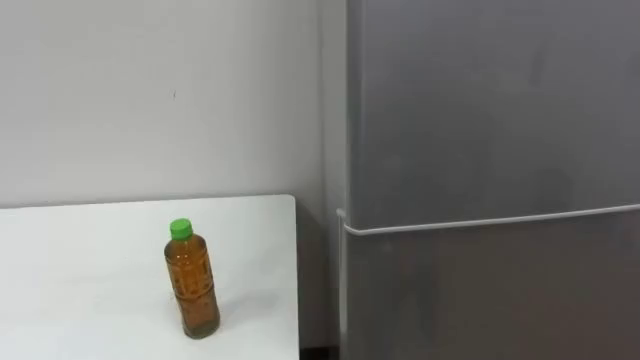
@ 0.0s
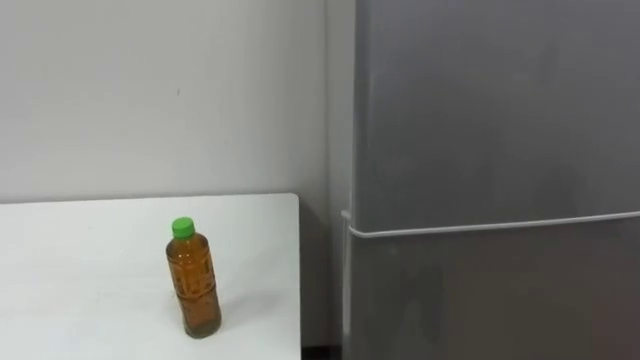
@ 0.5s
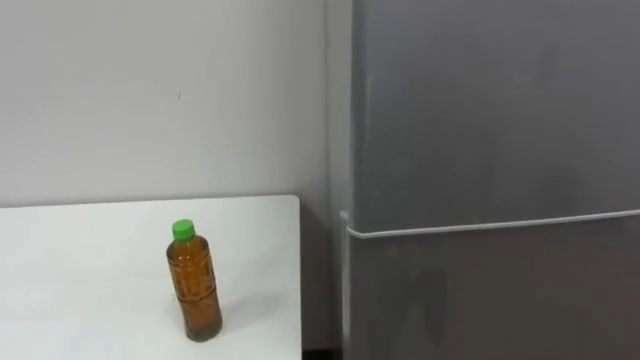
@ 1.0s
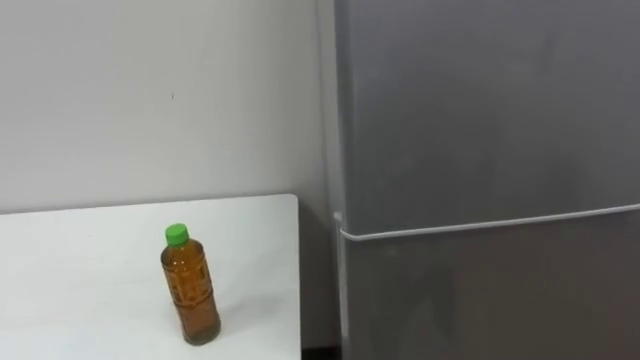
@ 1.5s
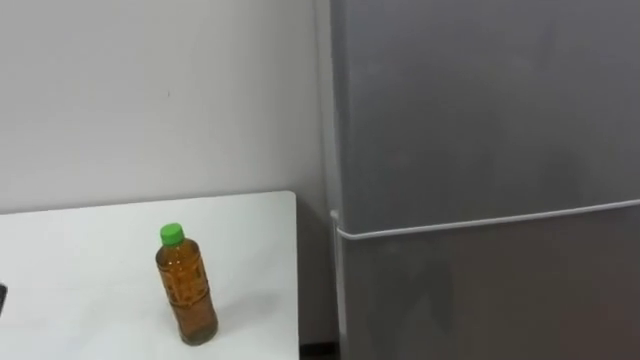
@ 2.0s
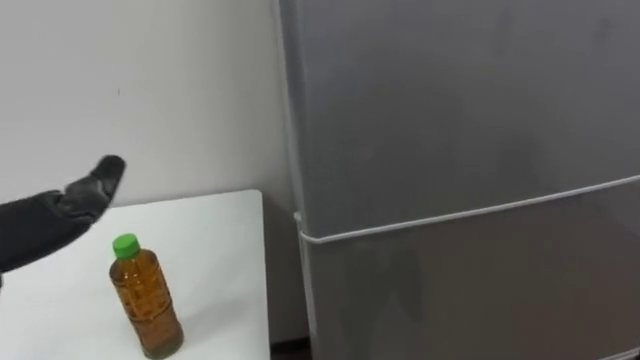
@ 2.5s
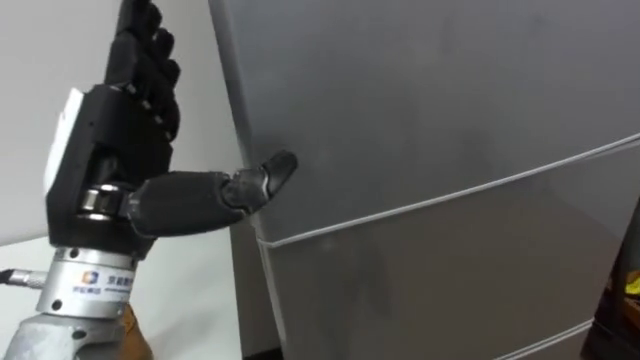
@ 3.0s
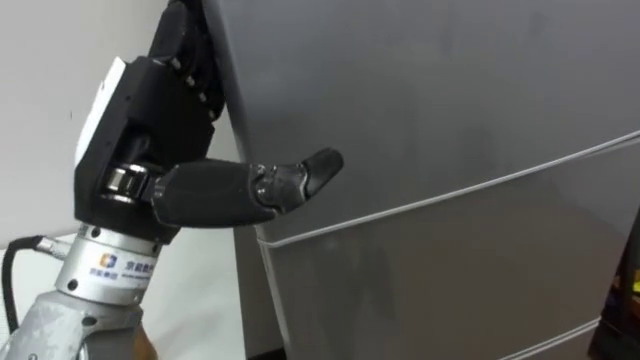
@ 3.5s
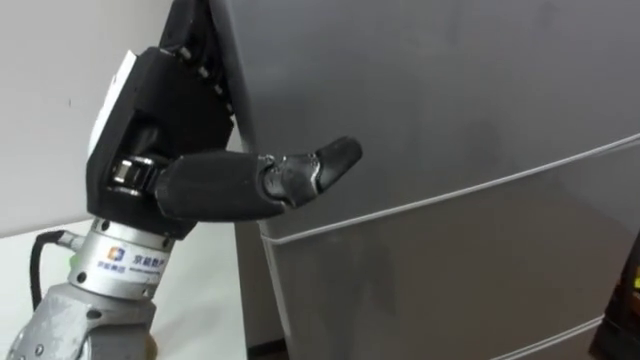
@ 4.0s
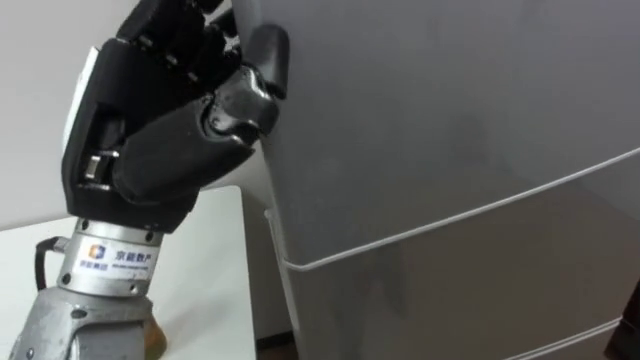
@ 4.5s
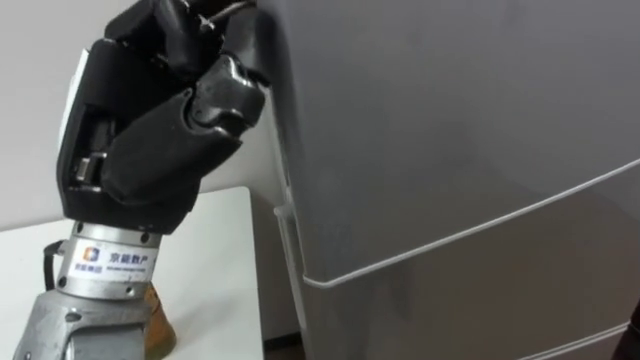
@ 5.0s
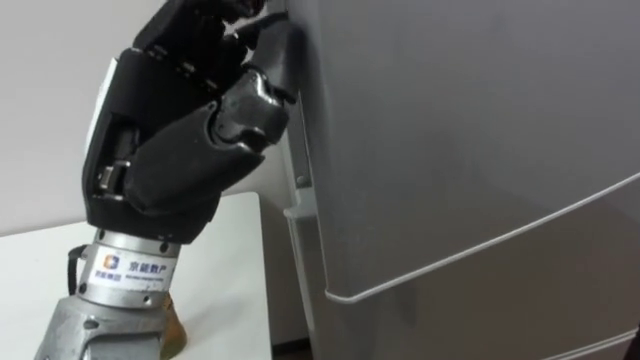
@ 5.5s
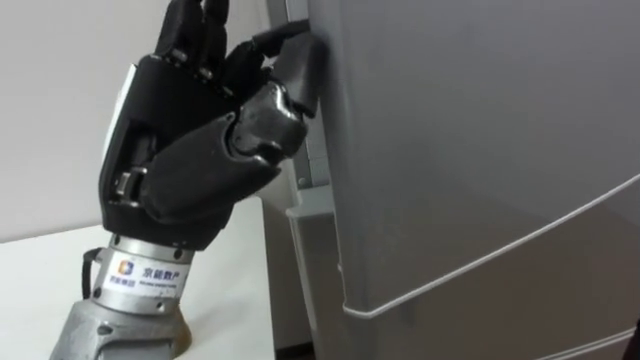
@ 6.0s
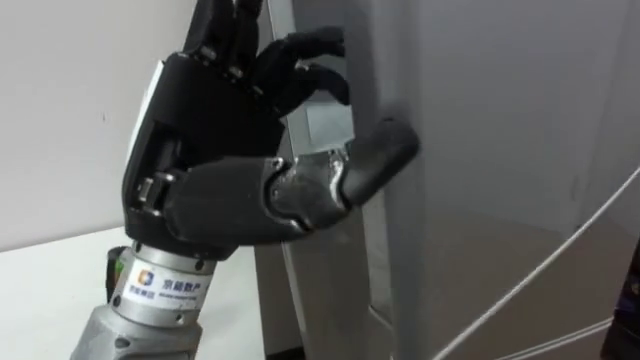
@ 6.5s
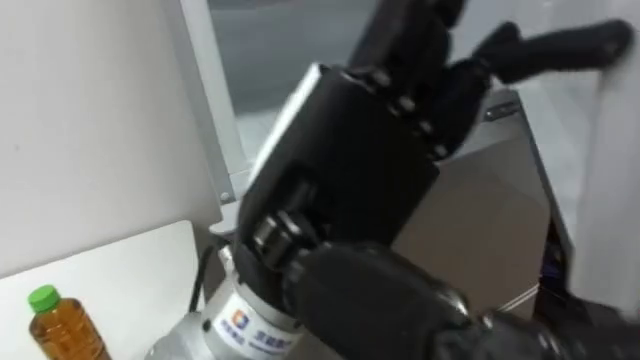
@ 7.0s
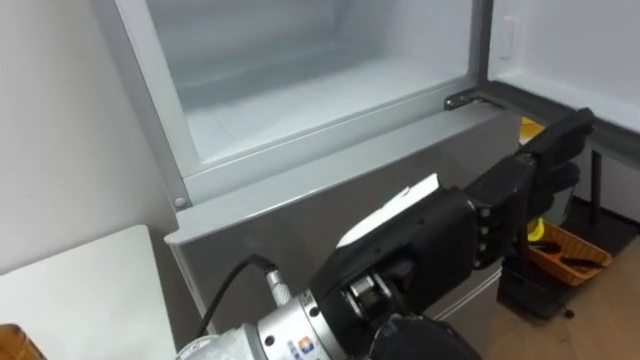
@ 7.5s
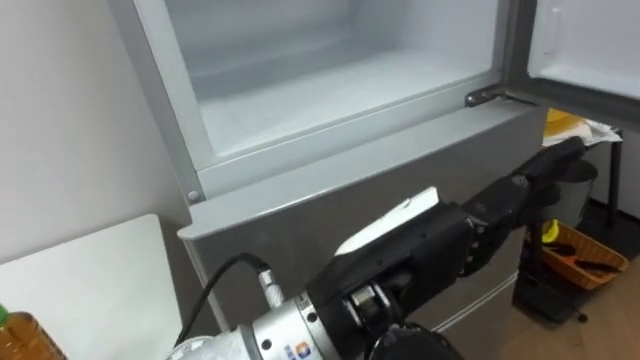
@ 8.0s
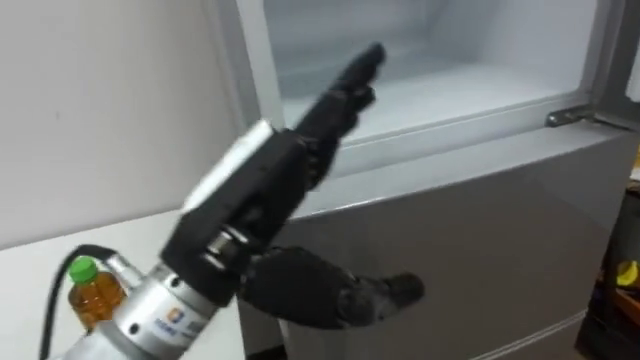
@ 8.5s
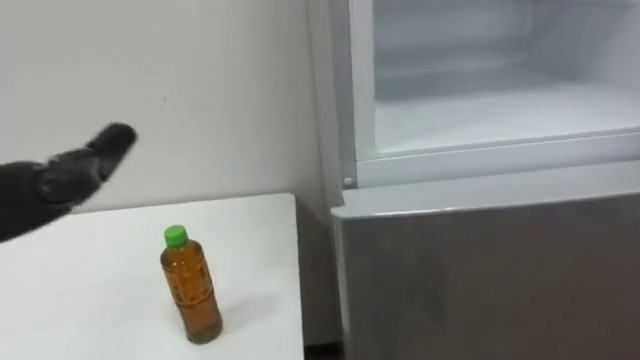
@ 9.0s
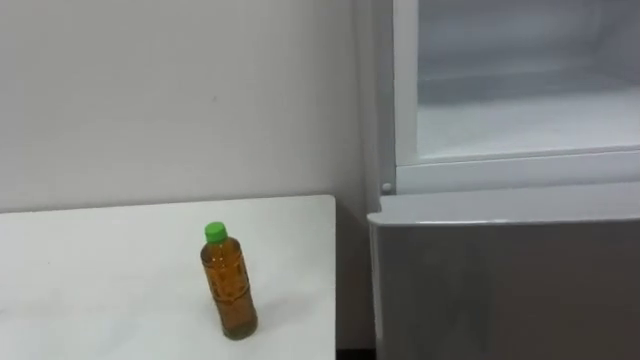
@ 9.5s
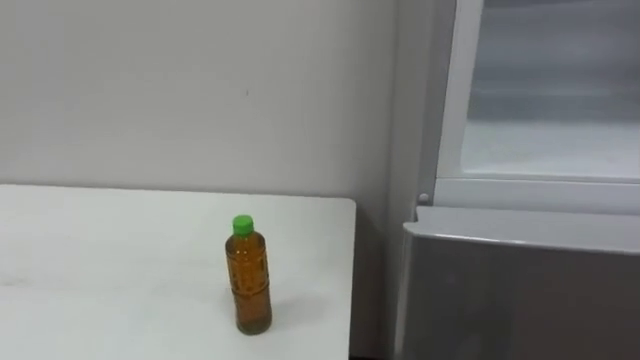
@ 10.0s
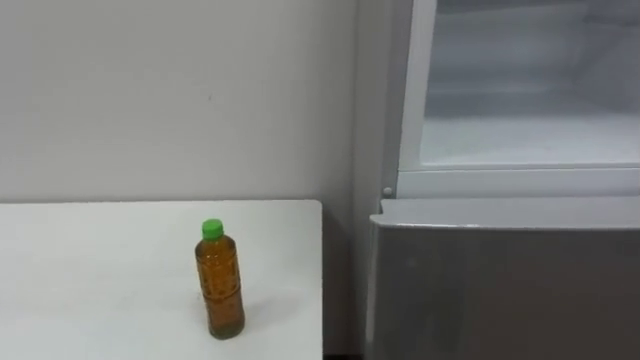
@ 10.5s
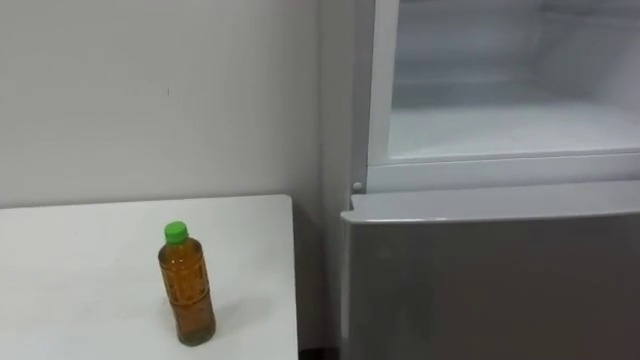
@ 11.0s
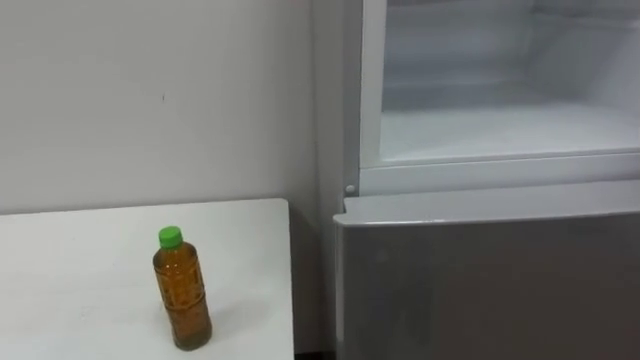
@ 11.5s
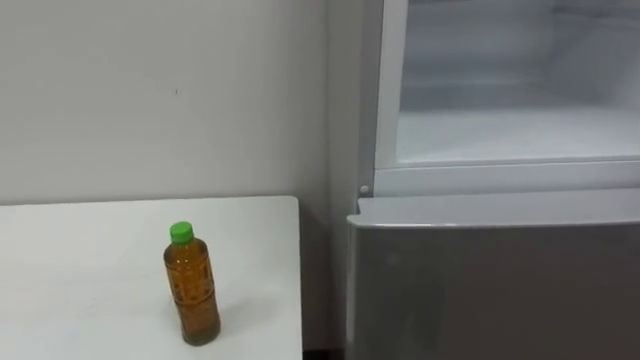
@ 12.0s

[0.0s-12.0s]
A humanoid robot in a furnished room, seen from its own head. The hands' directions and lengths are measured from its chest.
Task of the whole recording: Open the upper refrigerator door, put the drink from the table into the refrigerator, and then close the refrigerator door.
4.0s to 6.0s: The left hand closes, then reopens.
6.0s to 8.0s: The left hand moves to the right and downward, roughly 15 cm.

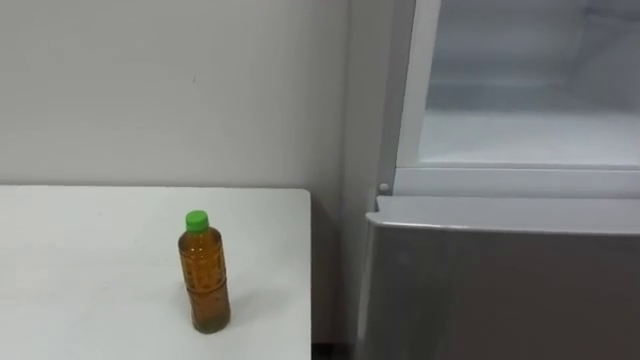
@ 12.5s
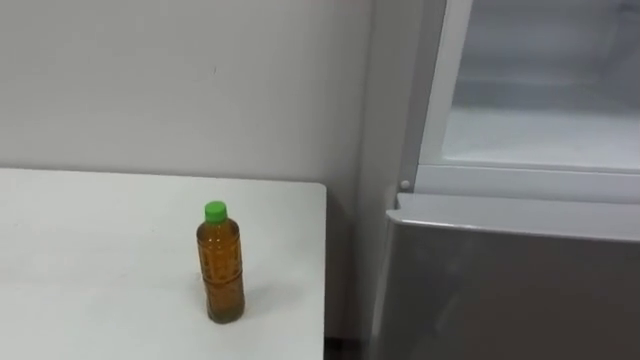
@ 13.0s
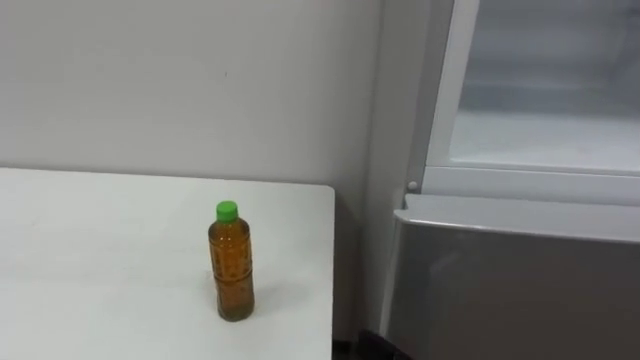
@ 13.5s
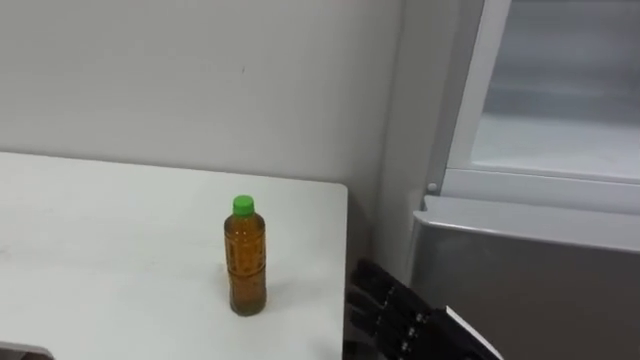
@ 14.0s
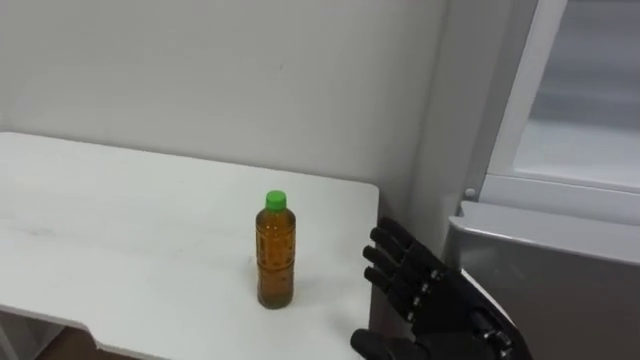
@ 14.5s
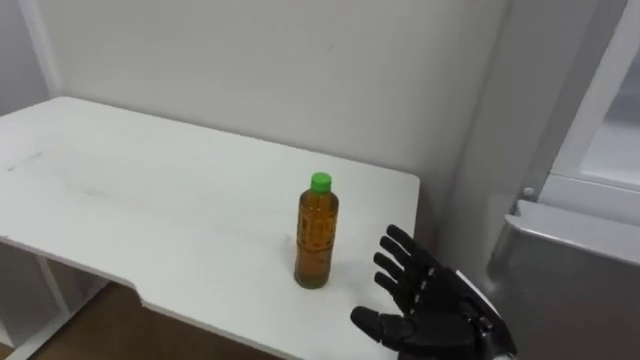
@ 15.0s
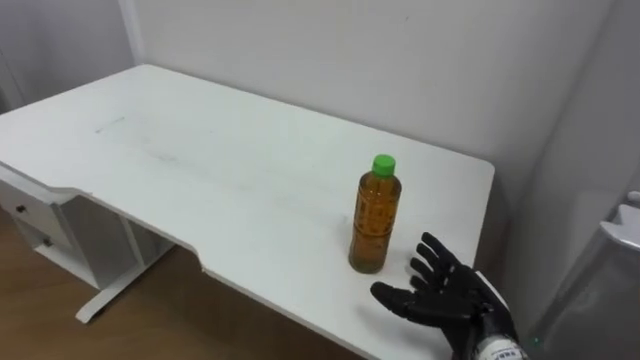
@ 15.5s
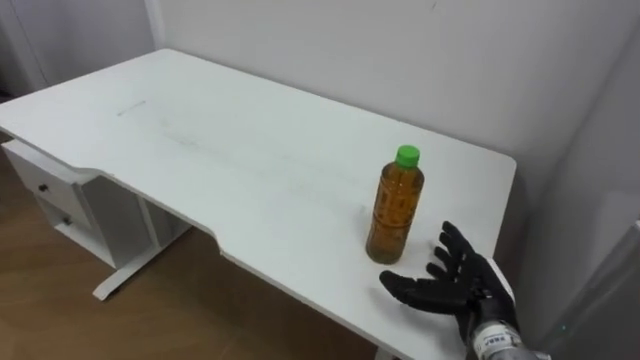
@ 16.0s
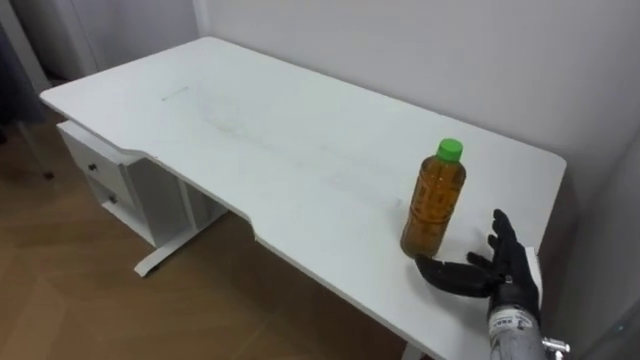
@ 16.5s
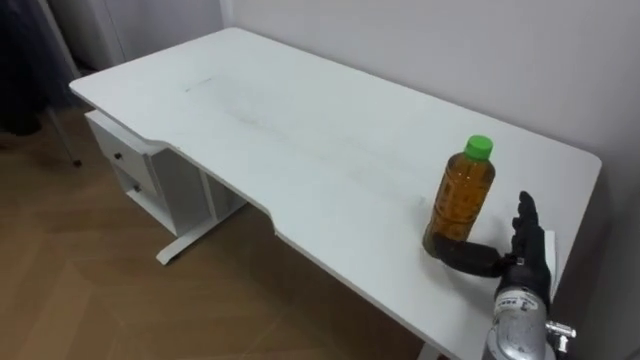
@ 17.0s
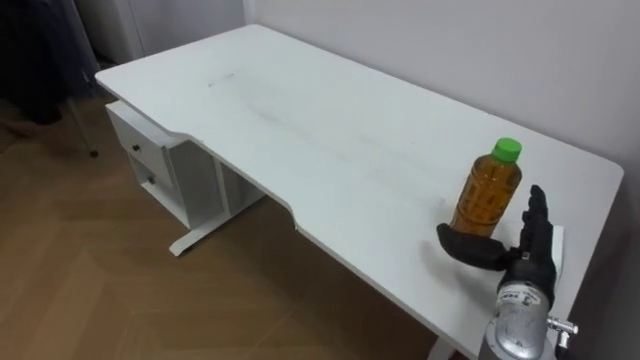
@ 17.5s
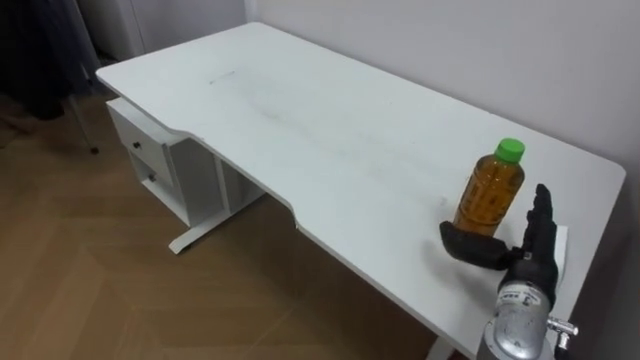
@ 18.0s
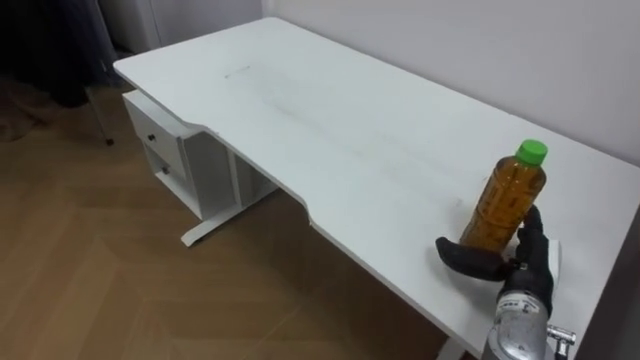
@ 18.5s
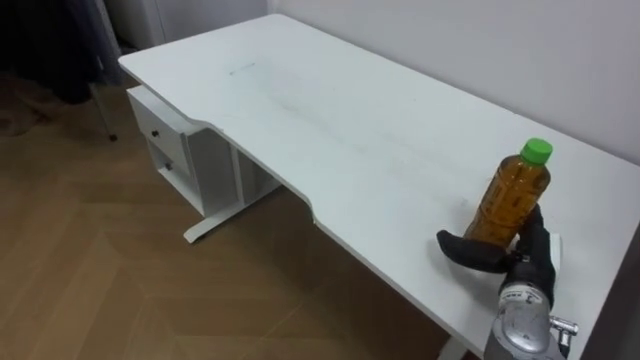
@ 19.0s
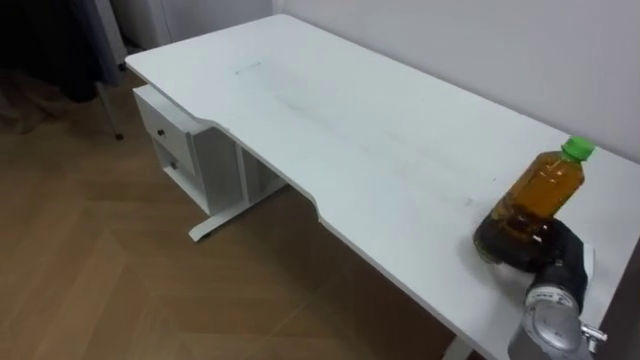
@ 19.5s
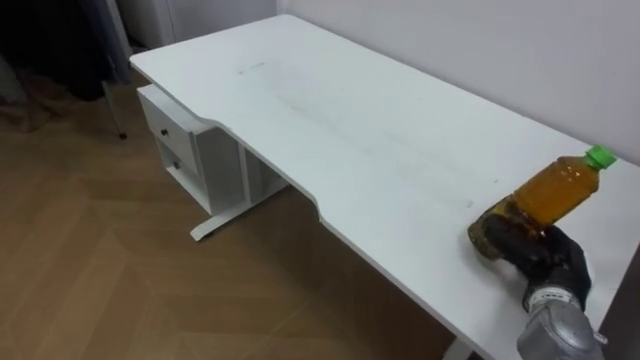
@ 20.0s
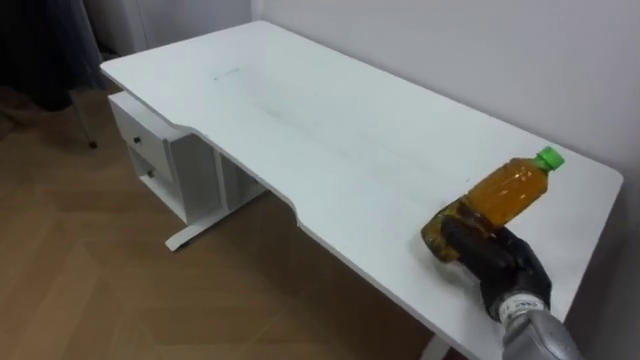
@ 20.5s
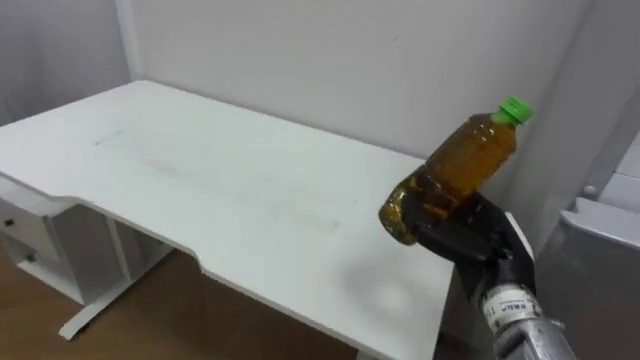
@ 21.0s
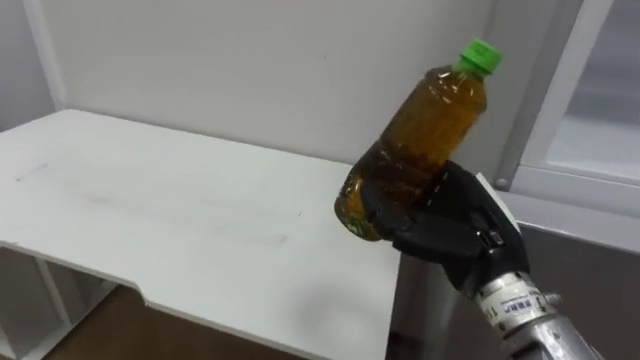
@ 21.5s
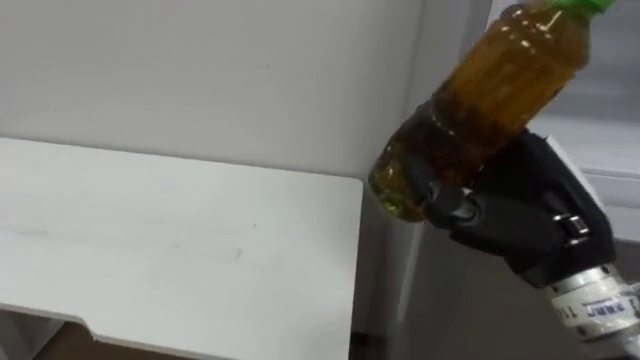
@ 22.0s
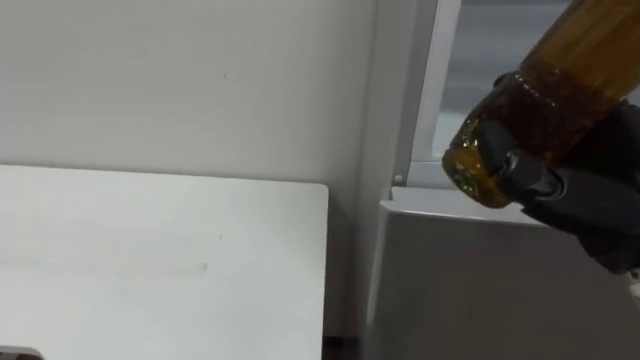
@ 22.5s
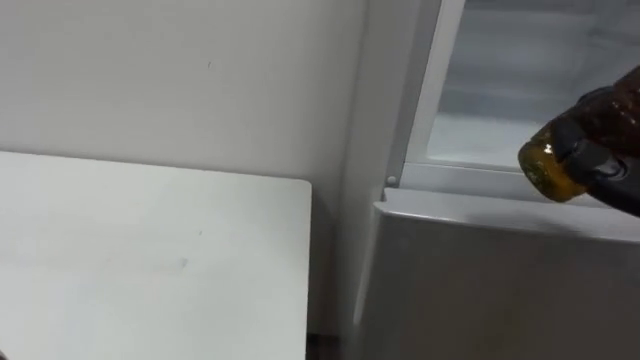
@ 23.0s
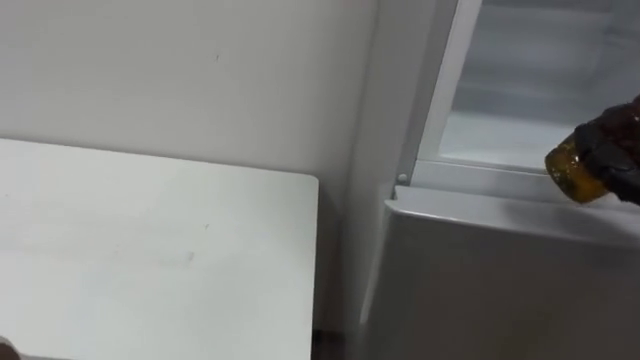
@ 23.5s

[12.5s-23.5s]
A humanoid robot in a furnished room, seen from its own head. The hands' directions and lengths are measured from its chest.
Task of the whole recording: Open the upper refrigerator door, put the drink from the table into the refrigerator, and then close the refrigerator door.
14.5s to 16.0s: The right hand heads forward and downward, covering about 10 cm.
16.0s to 18.0s: The right hand moves to the right, about 5 cm.
18.0s to 20.0s: The right hand ends up some 5 cm from where it was, and closes.
20.0s to 21.5s: The right hand is displaced to the left, upward and backward by about 20 cm.
